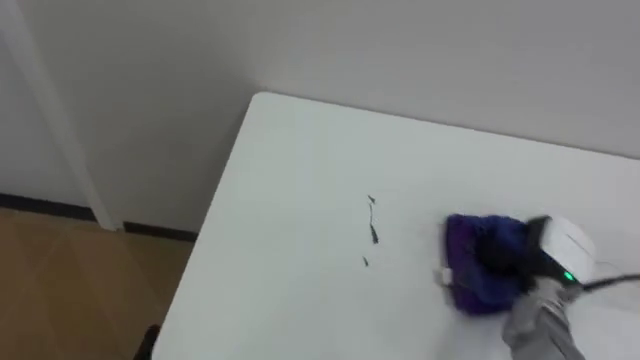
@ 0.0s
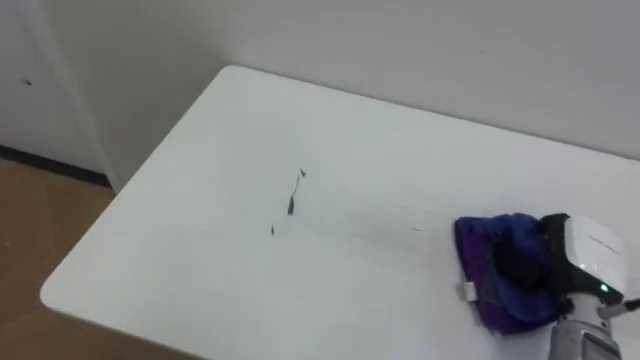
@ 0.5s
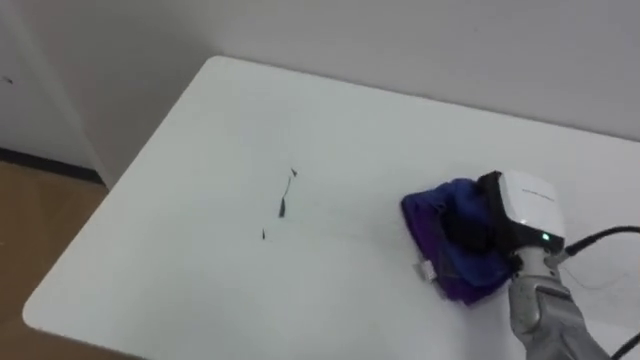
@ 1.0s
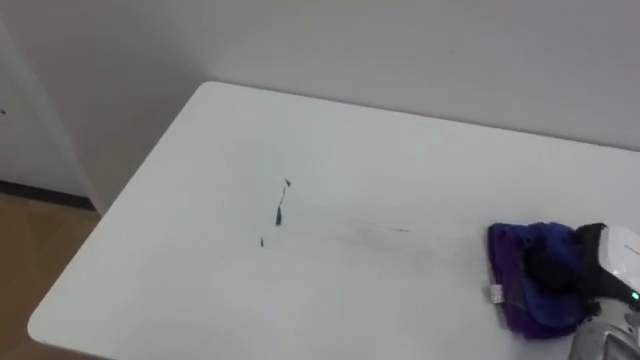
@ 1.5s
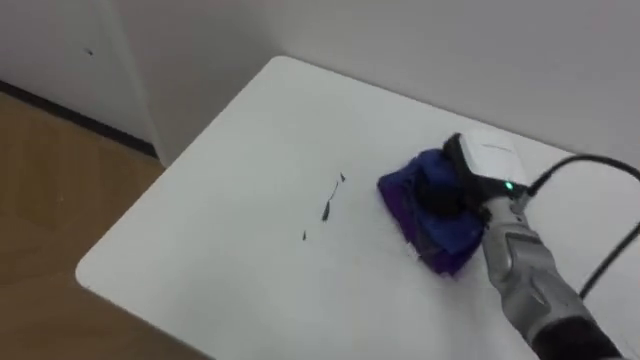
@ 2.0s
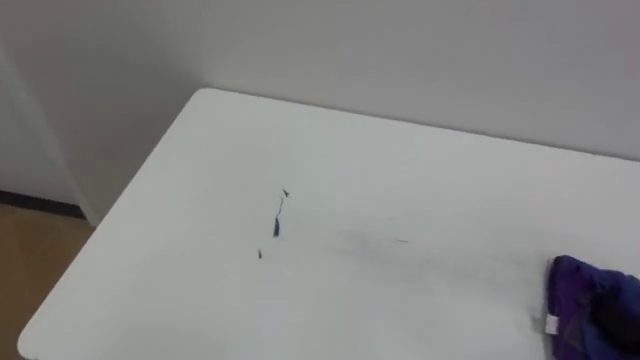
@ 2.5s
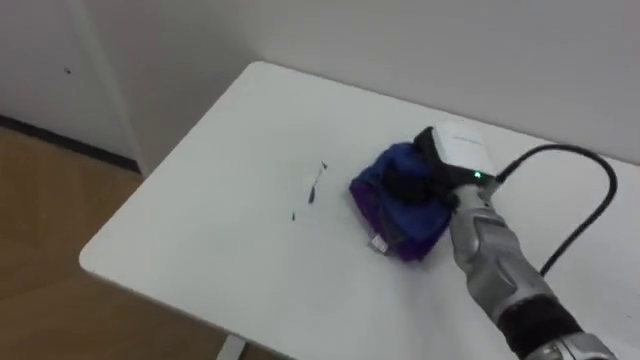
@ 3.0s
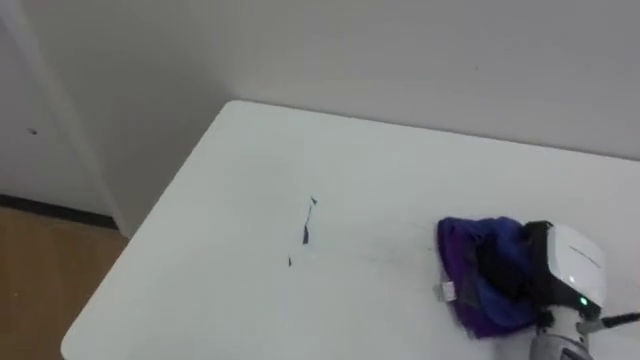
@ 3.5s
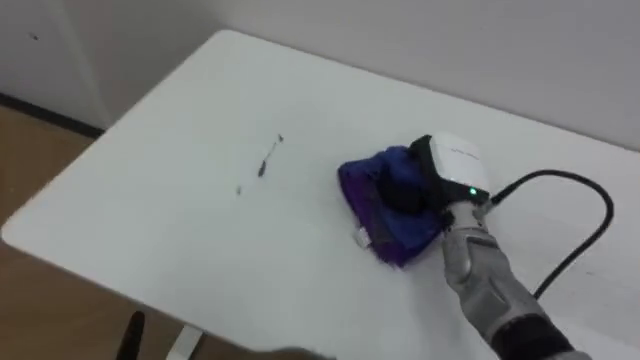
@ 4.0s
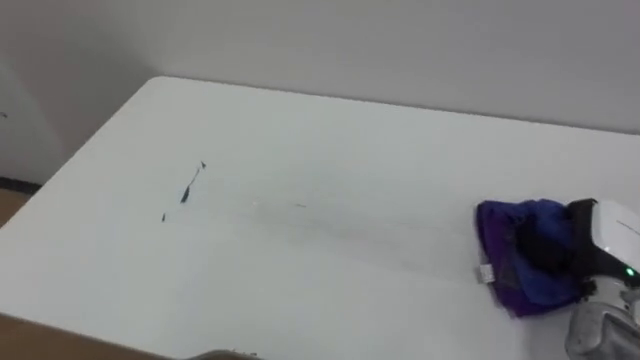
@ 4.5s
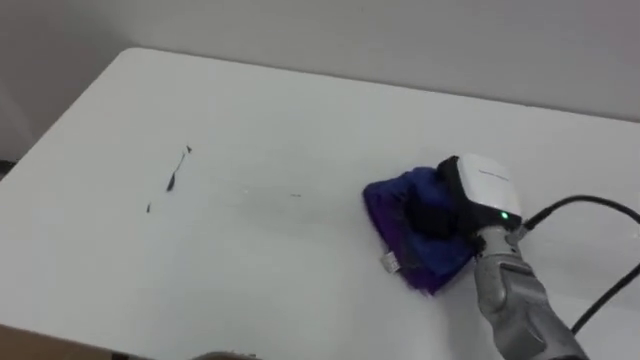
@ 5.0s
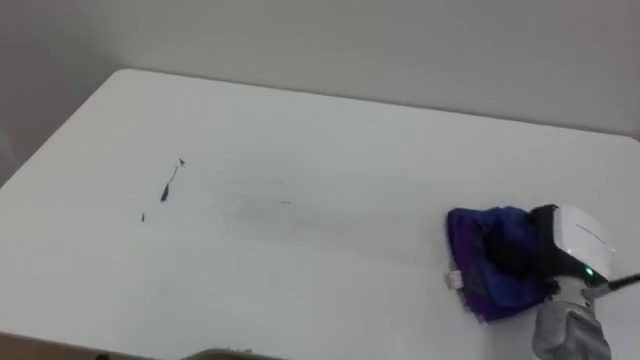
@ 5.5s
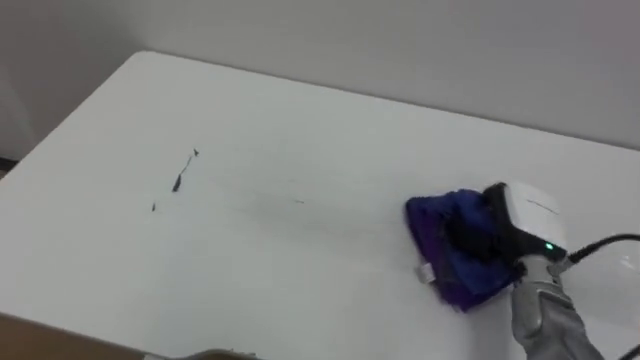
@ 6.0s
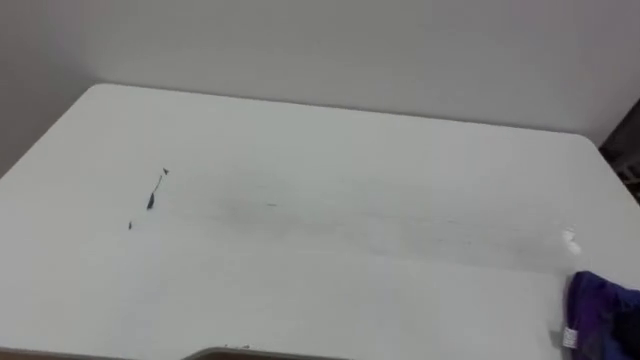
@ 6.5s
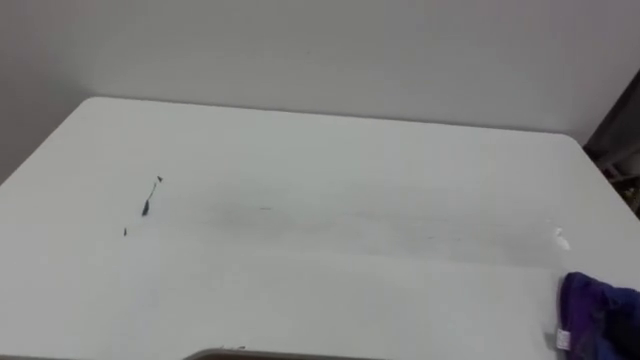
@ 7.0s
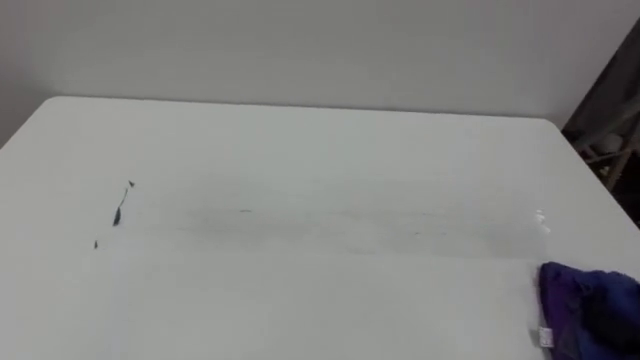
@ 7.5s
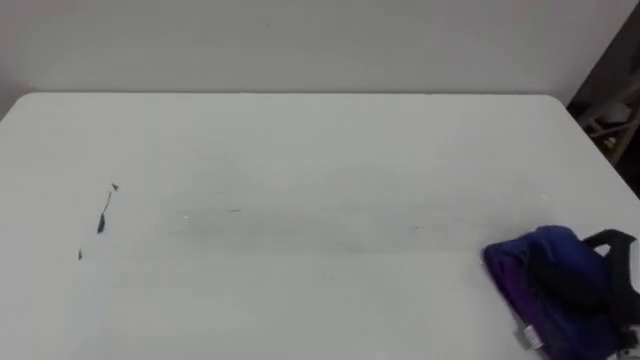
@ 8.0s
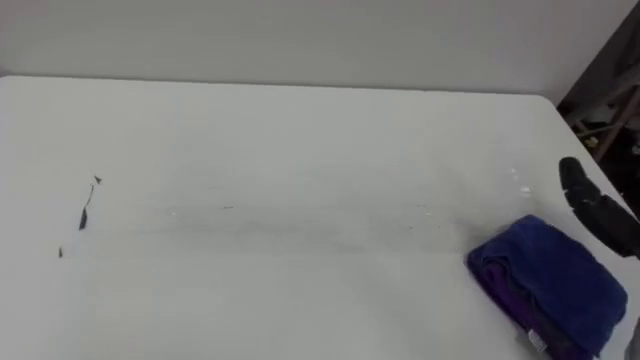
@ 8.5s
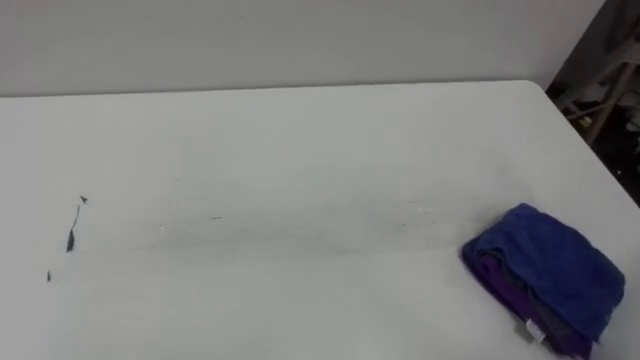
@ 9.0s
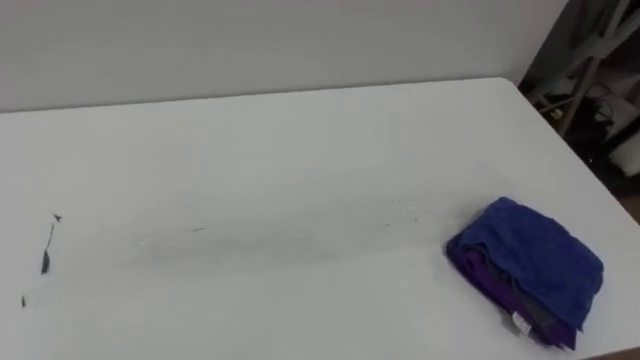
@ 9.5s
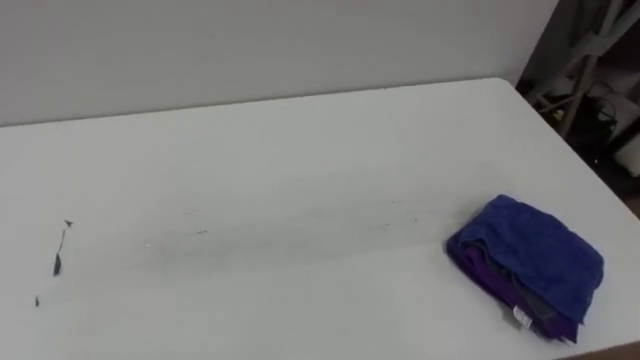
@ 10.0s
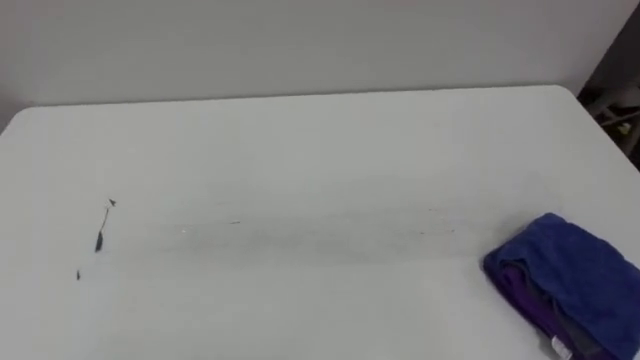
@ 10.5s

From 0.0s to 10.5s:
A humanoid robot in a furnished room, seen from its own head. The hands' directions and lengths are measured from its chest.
Task of the whole recording: Wipe the blue pen marks off the table with the rag.
From 0.0s to 2.0s: The right hand goes left and right, some 15 cm each way, reversing 2 times.

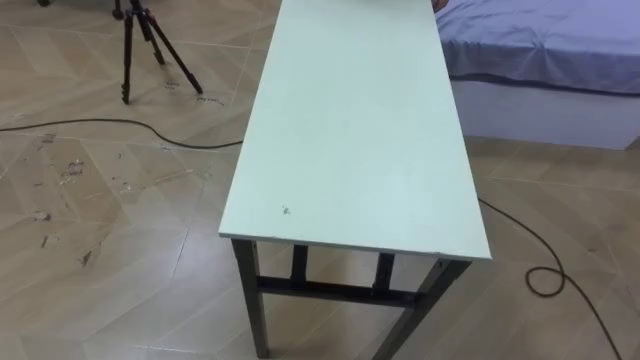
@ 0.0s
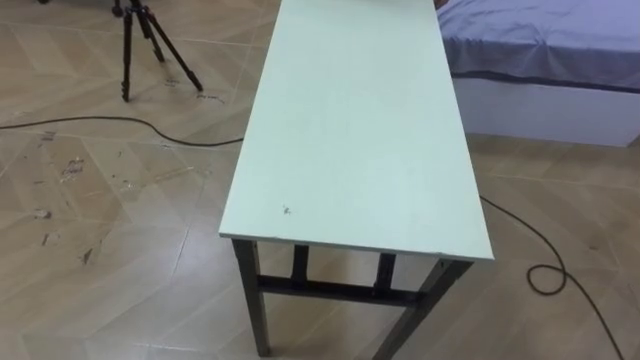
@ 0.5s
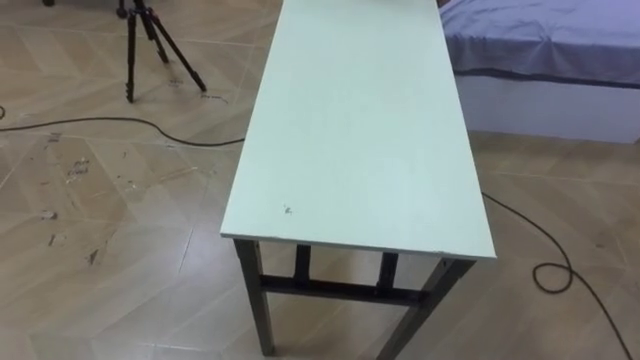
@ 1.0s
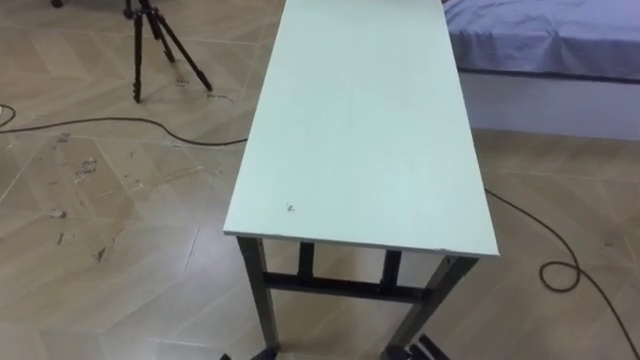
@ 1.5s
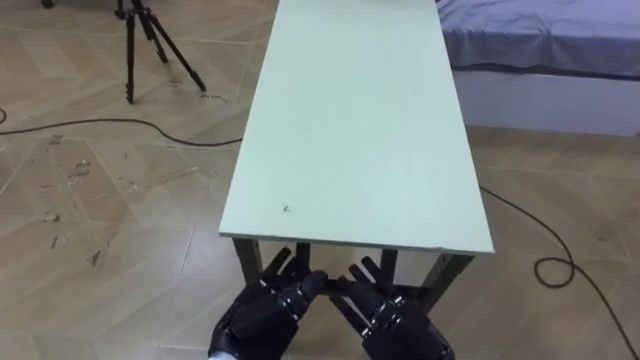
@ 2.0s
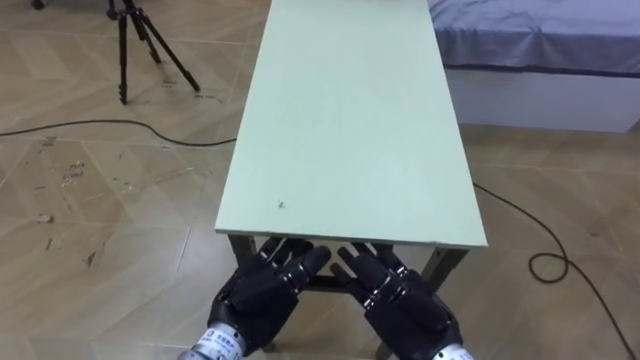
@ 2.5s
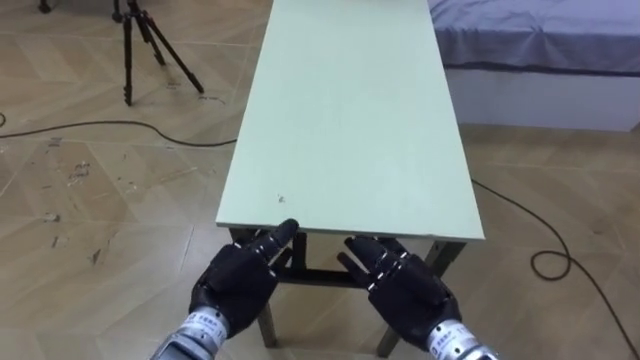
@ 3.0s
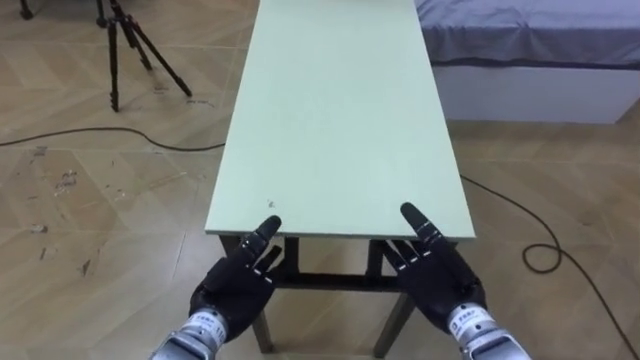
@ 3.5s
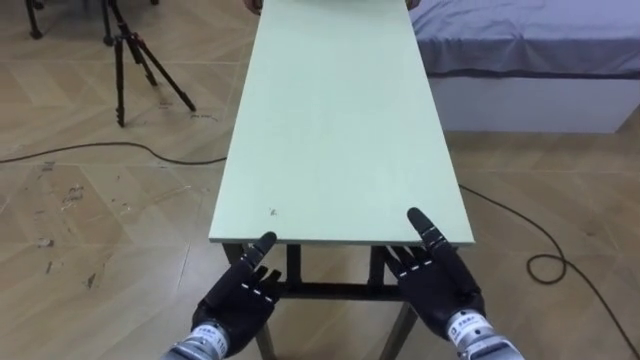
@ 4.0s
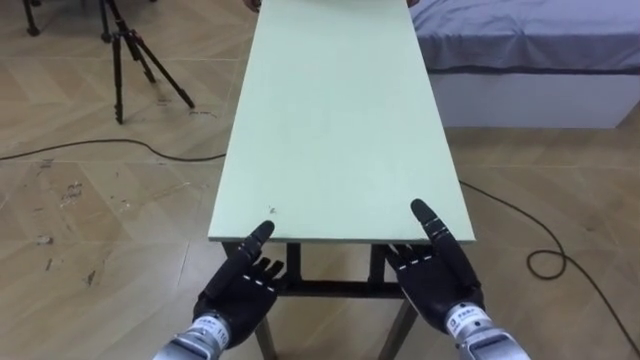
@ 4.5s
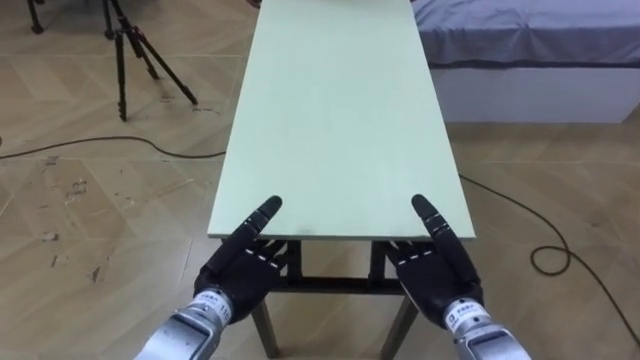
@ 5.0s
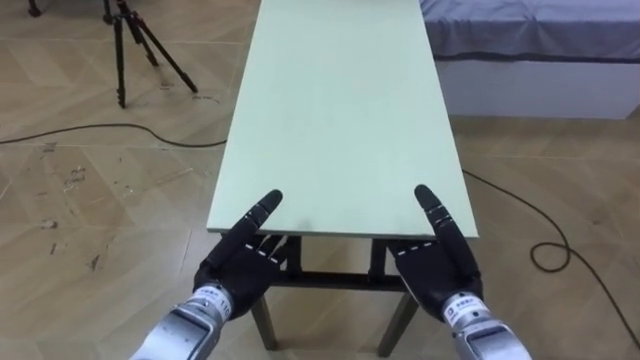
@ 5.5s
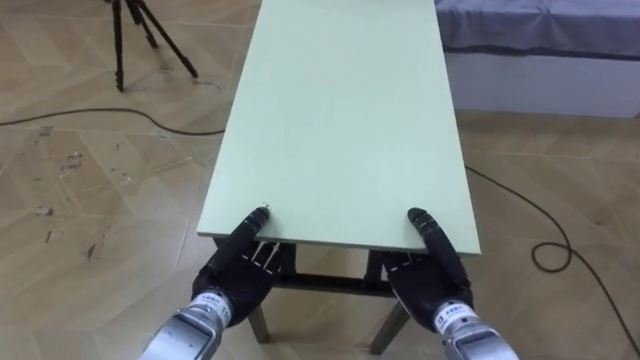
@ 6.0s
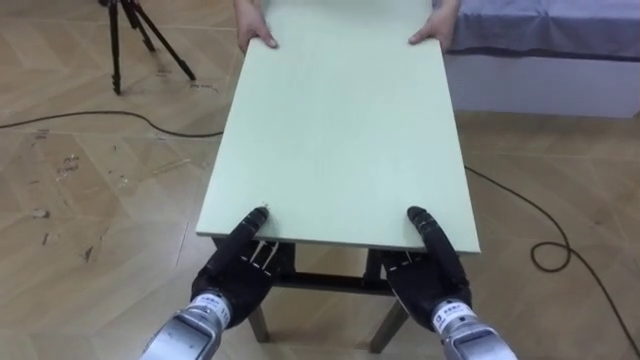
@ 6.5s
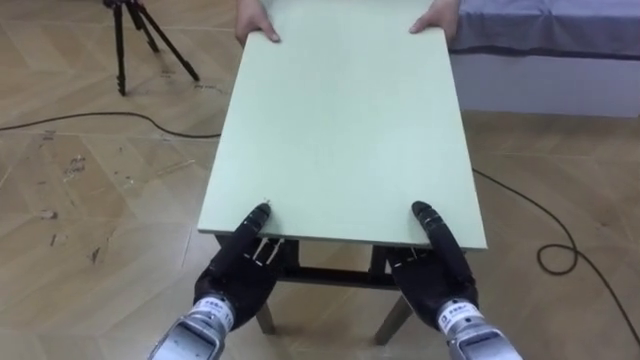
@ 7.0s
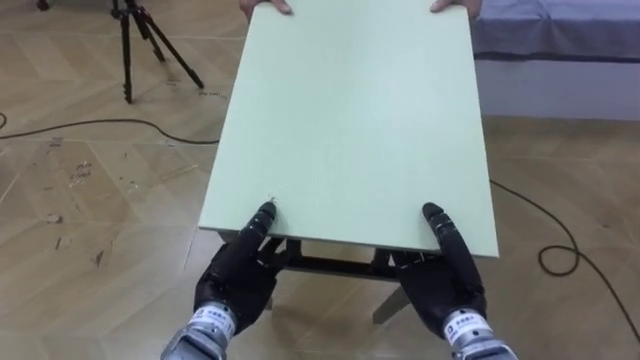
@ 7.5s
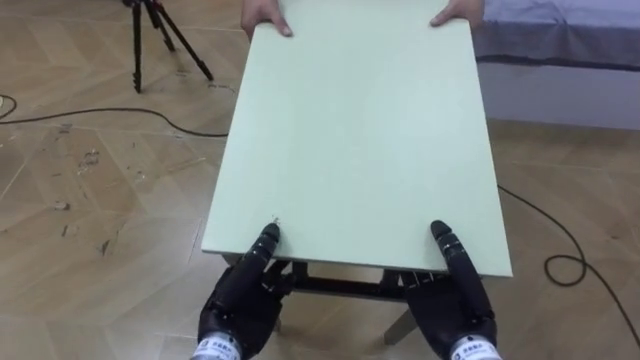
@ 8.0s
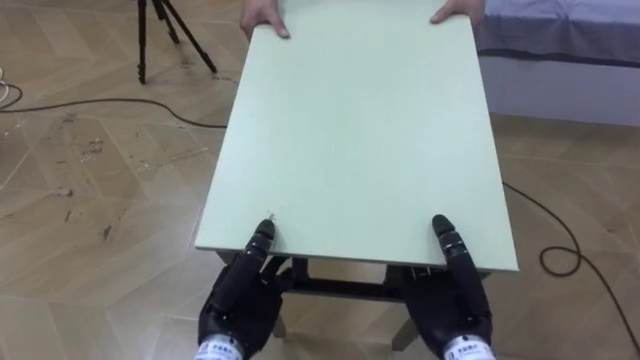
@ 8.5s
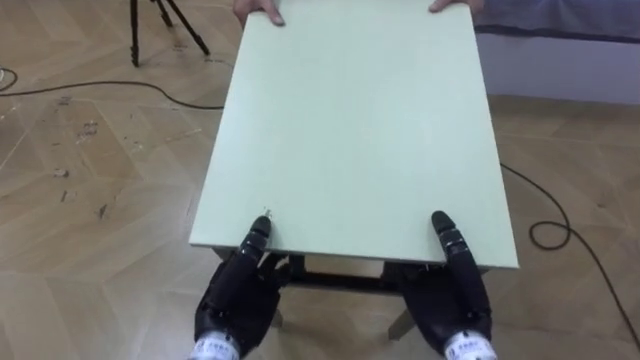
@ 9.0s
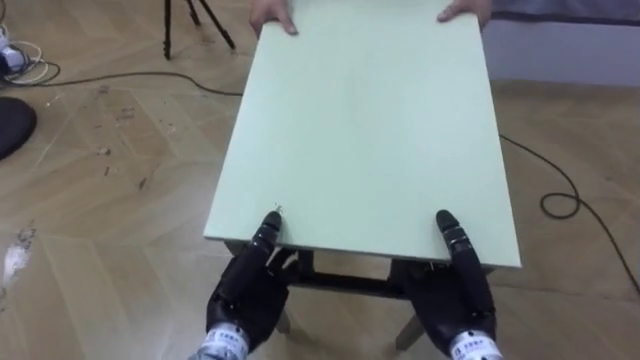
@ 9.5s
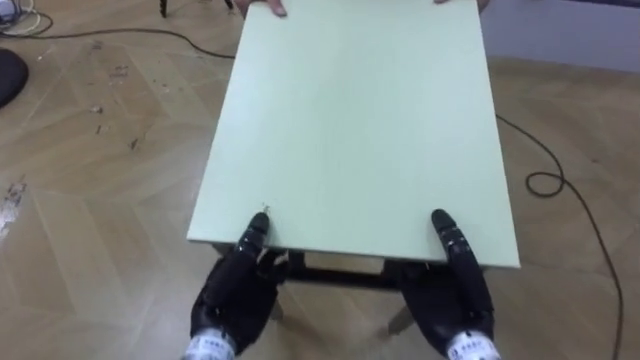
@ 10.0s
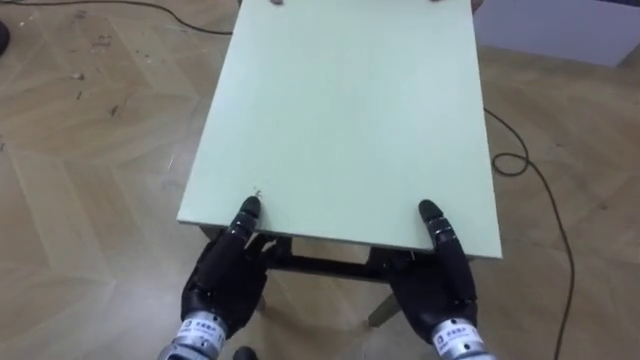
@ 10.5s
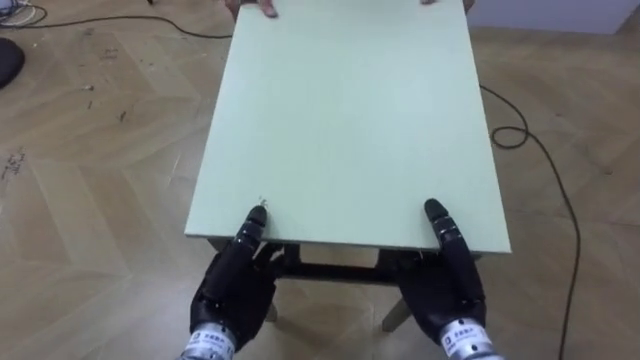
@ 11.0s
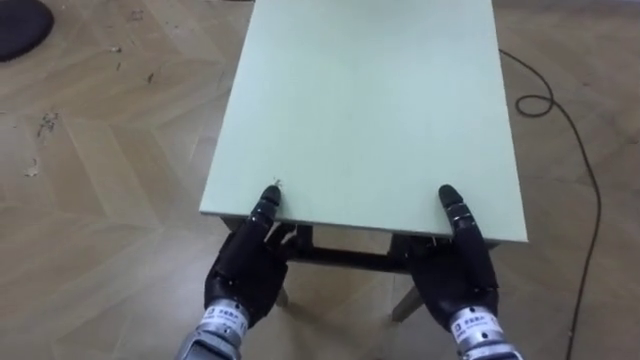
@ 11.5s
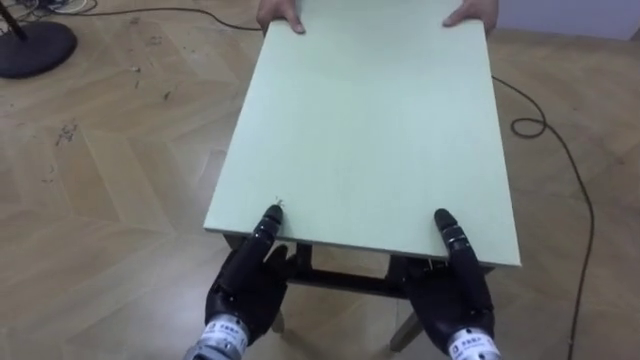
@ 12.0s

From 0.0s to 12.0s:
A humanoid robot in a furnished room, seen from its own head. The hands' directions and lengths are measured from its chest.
Task of the whole recording: Move the table to the back left with someone.
From 2.0s to 4.0s: The left hand shifts by some 5 cm. Meanwhile the right hand is displaced forward and to the right by some 10 cm.
From 4.0s to 6.0s: The left hand moves approximately 5 cm, and closes its fingers; the right hand closes its fingers.
